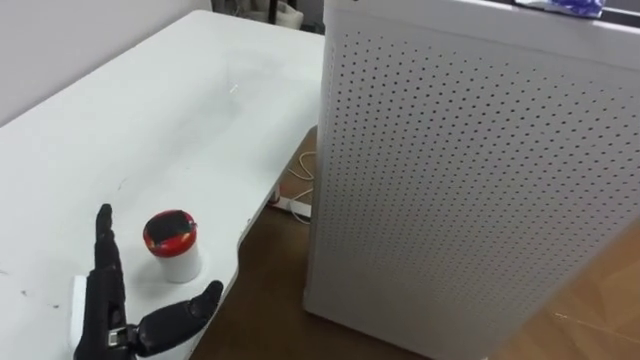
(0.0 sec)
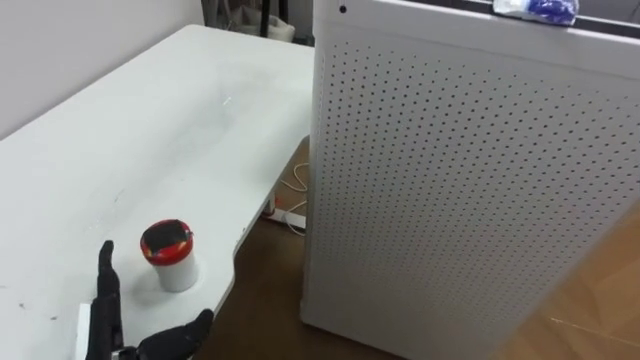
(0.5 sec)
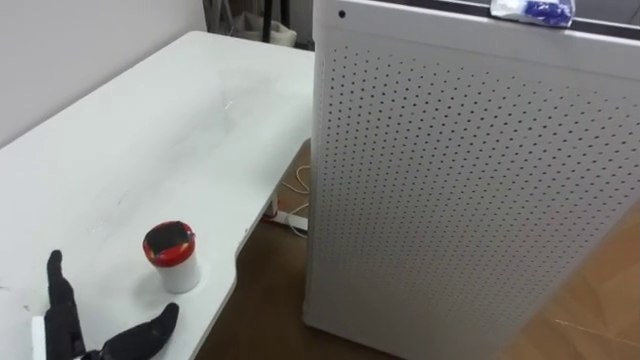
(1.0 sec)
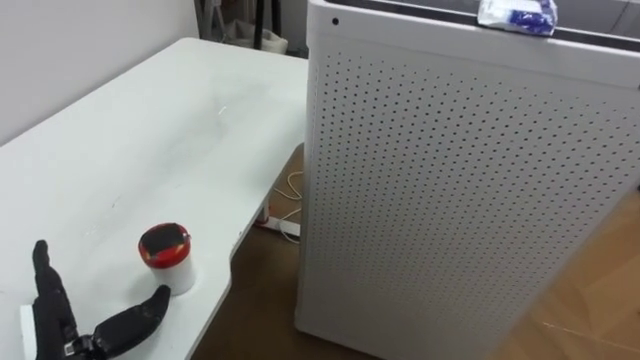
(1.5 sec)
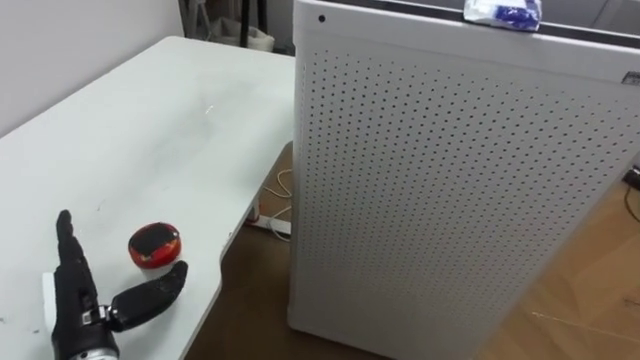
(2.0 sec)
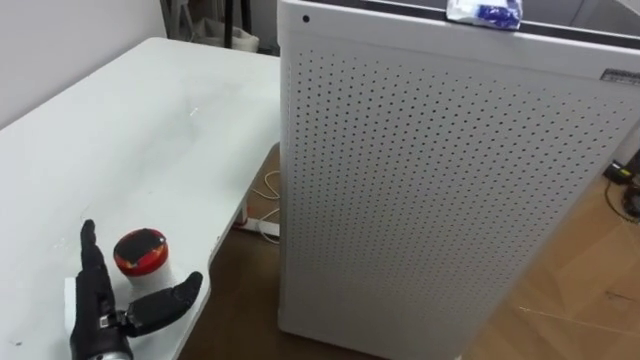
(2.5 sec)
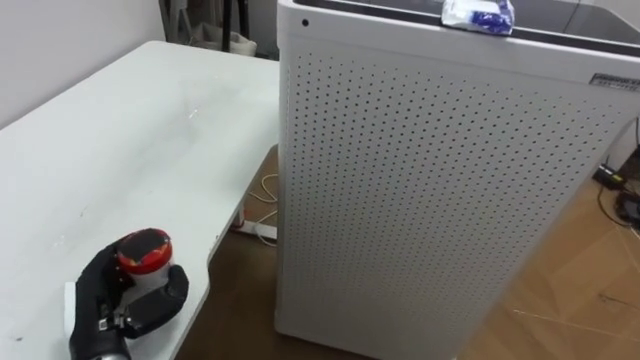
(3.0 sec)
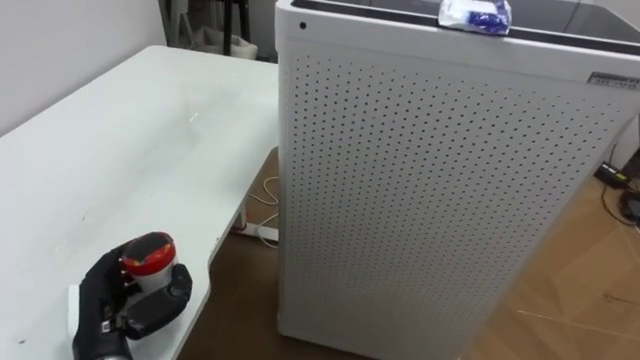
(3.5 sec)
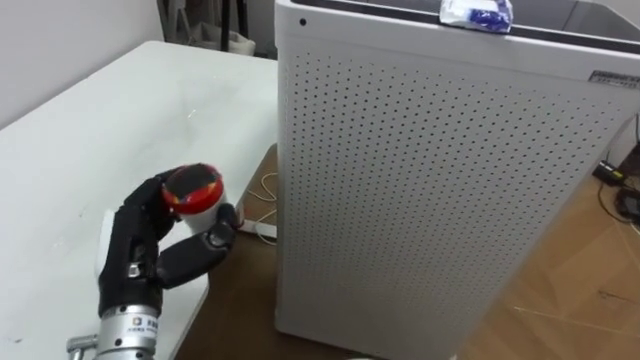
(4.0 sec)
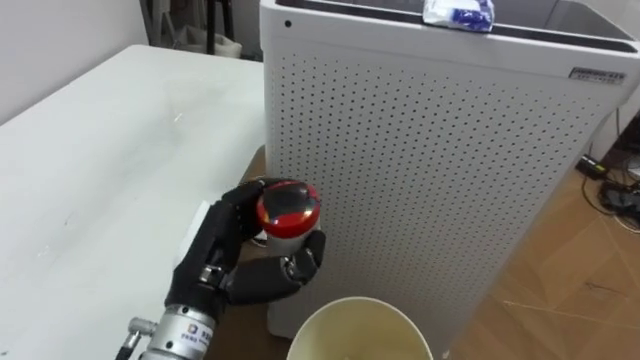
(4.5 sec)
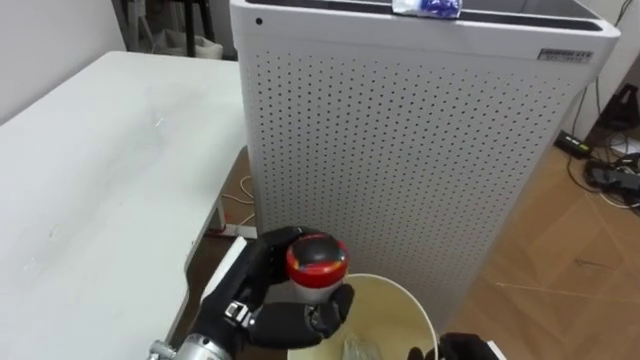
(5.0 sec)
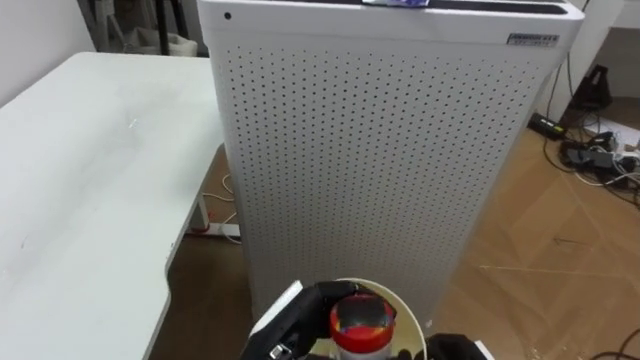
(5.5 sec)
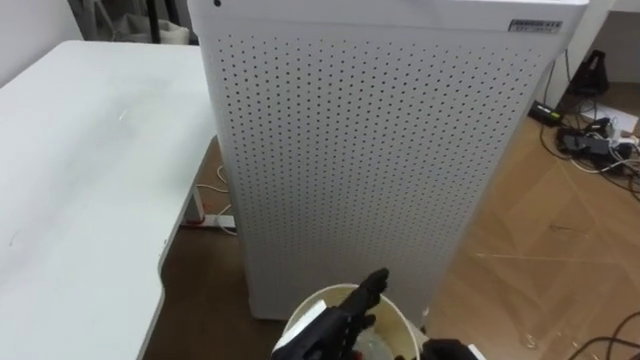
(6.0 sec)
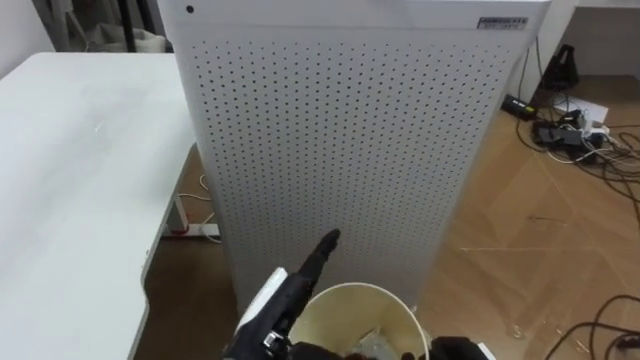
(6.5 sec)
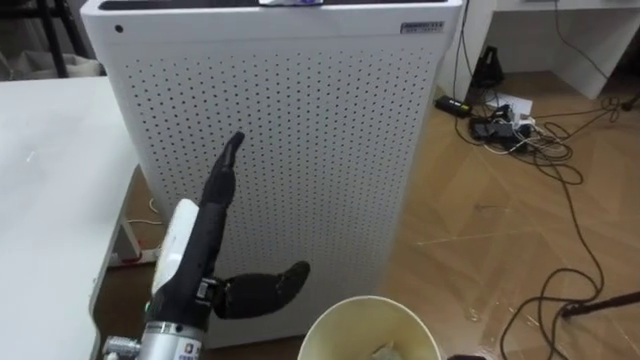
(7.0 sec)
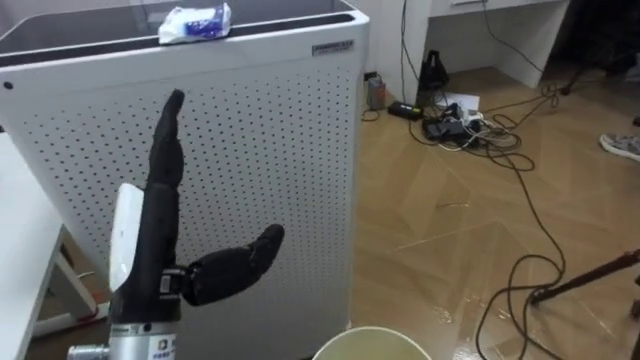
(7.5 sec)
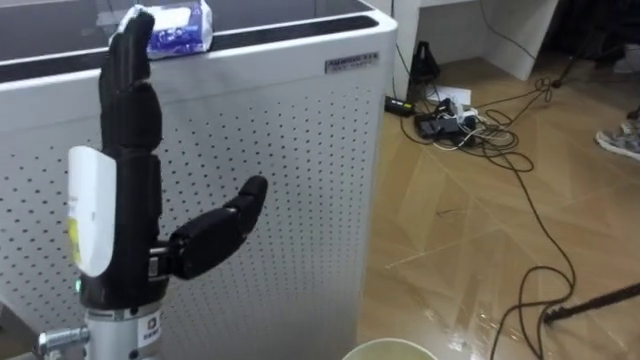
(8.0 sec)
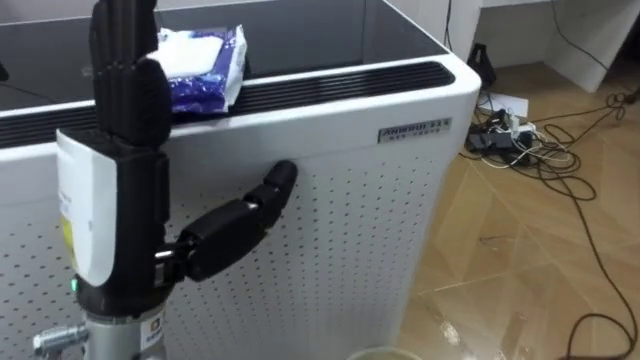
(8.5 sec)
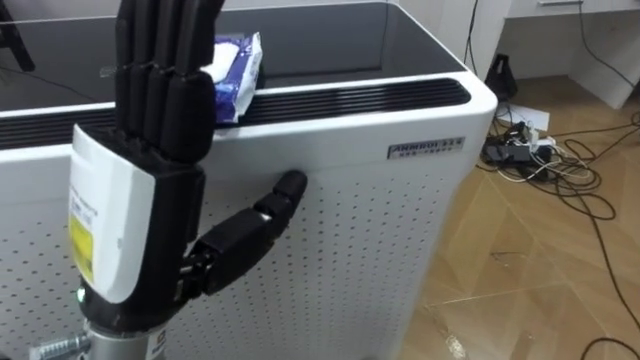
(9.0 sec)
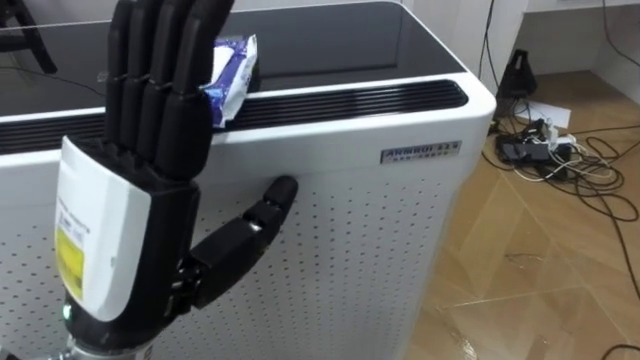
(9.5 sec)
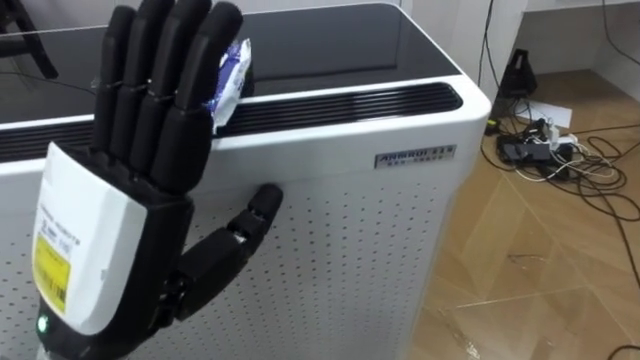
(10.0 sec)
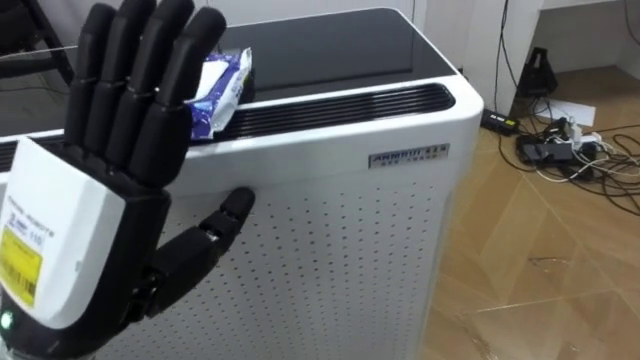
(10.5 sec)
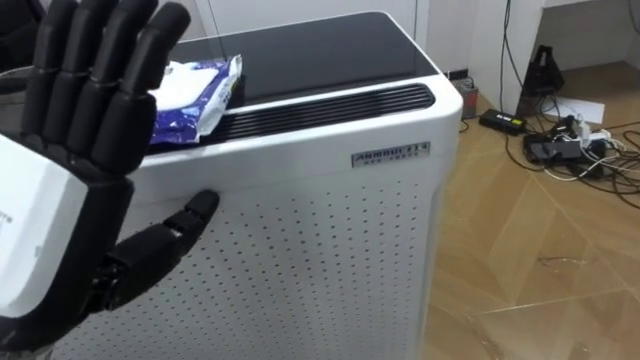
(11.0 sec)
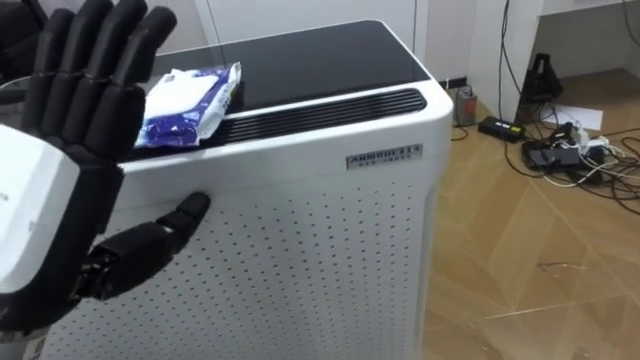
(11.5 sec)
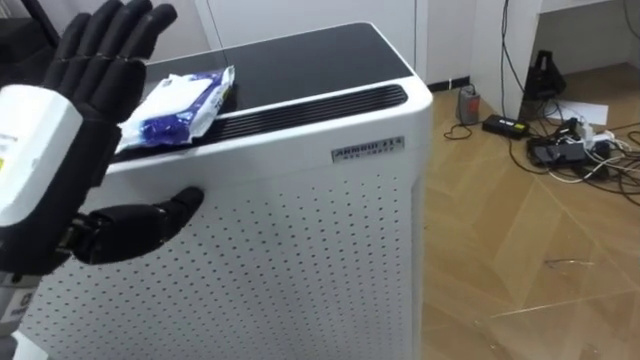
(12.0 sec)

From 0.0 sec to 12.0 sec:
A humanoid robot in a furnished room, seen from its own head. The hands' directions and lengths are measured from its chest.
Task of the whole recording: Pick up the light blue package, the candy box, and the dark blue package separately, and put them into the trash can held in your right hand.
From 0.0 sec to 2.0 sec: The left hand ends up roughly 5 cm from where it was.
From 2.0 sec to 4.0 sec: The left hand moves to the right, approximately 5 cm, and closes its fingers.
From 4.0 sec to 6.0 sec: The left hand travels to the right by approximately 20 cm, and opens.
From 6.0 sec to 8.0 sec: The robot's body swings some 30 degrees to its right. The left hand travels upward and to the left by roughly 25 cm.
From 8.0 sec to 10.0 sec: The left hand shifts by about 5 cm.
From 10.0 sec to 12.0 sec: The left hand moves to the left, some 5 cm.

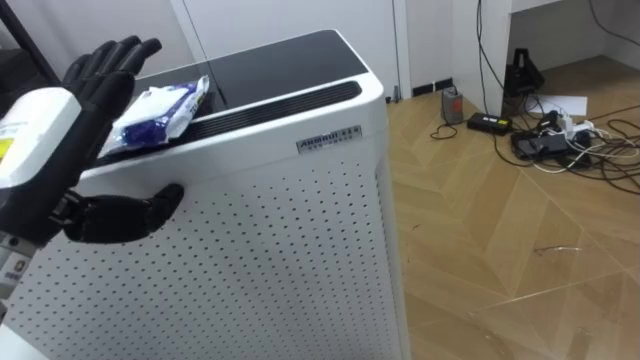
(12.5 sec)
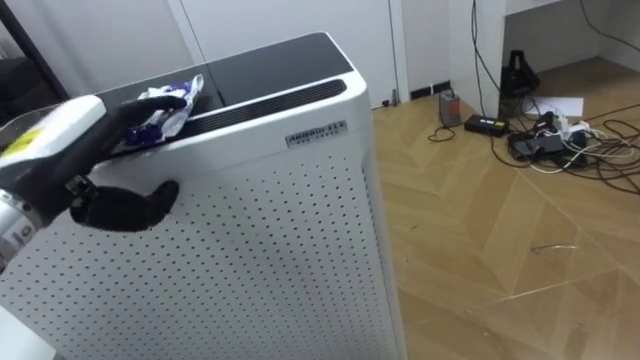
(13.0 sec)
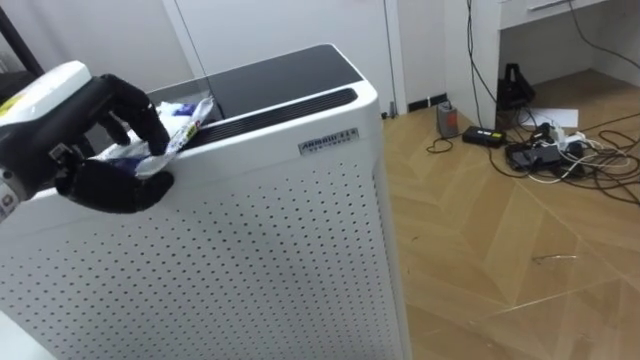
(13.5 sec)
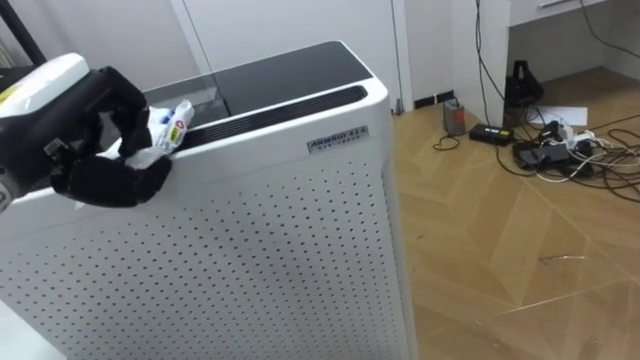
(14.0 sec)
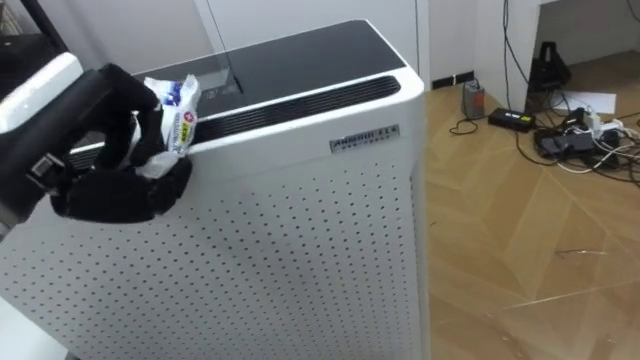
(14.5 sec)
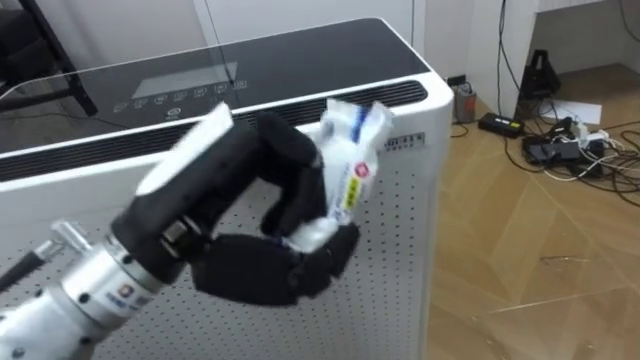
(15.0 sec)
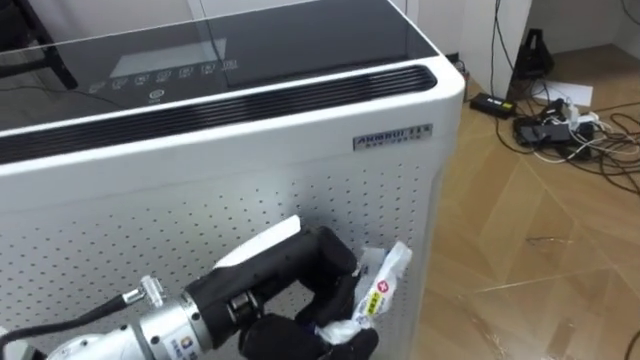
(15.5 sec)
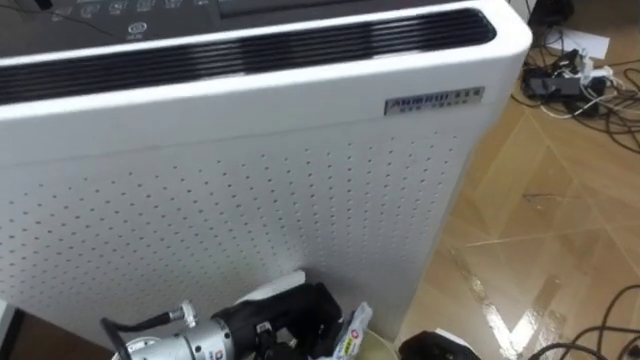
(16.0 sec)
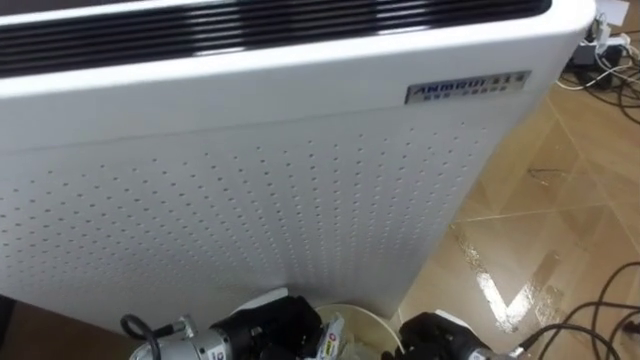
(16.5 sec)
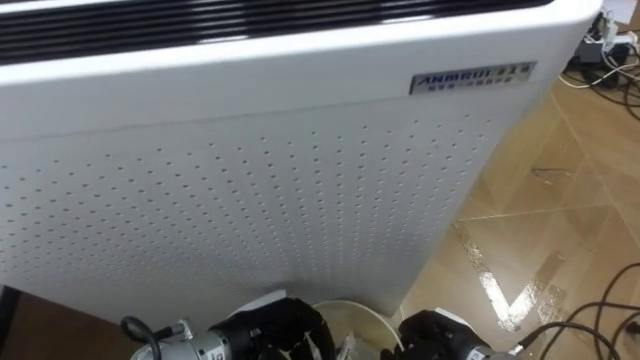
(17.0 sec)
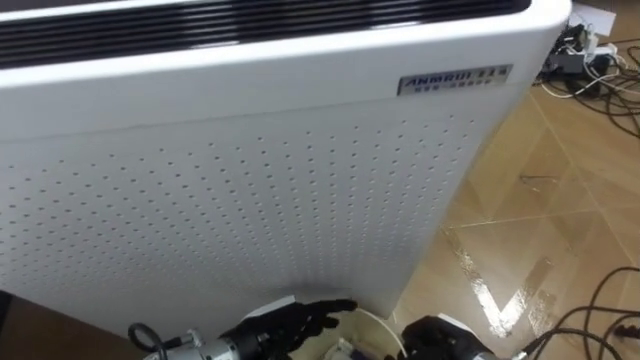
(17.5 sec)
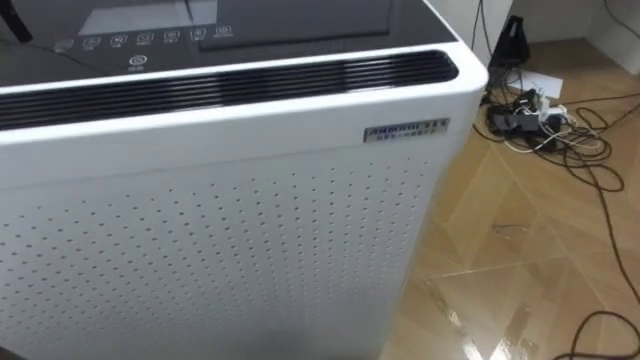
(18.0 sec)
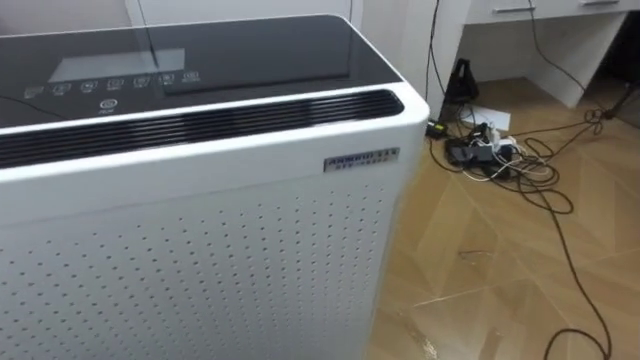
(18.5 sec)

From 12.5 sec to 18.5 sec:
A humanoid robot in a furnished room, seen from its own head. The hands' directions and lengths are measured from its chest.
Task of the whole recording: Pick up the light blue package, the candy box, and the dark blue package separately, and put them into the trash can held in your right hand.
From 12.5 sec to 14.5 sec: The left hand closes.
From 14.5 sec to 16.5 sec: The left hand travels downward and to the right by approximately 30 cm.

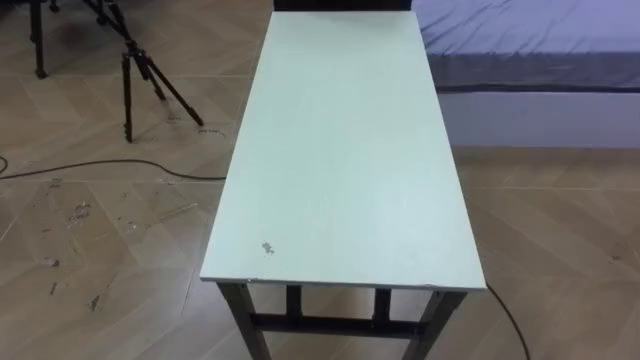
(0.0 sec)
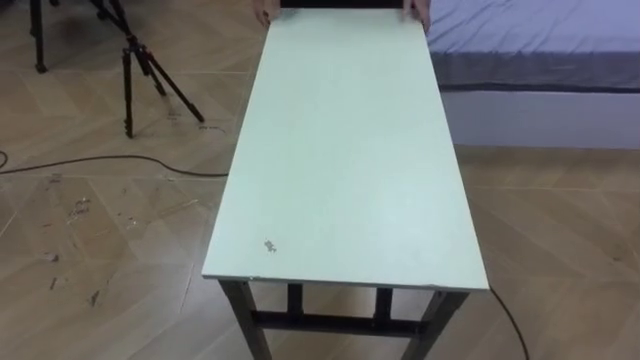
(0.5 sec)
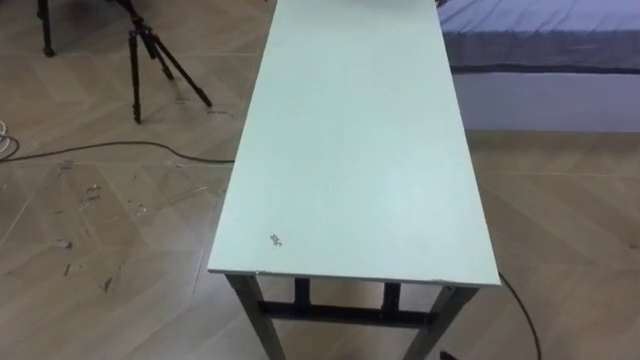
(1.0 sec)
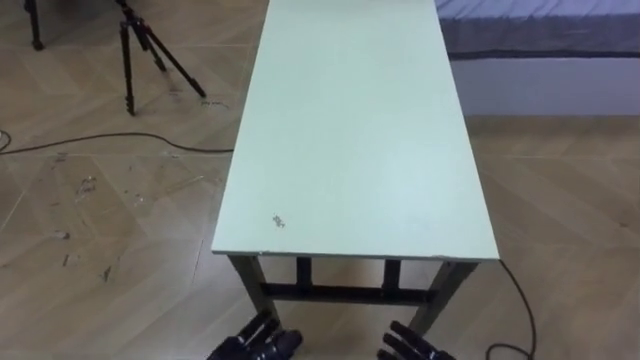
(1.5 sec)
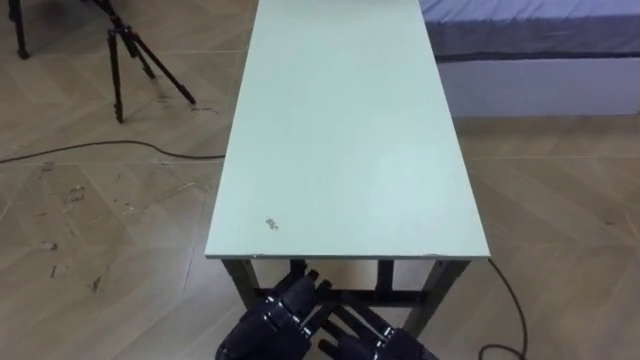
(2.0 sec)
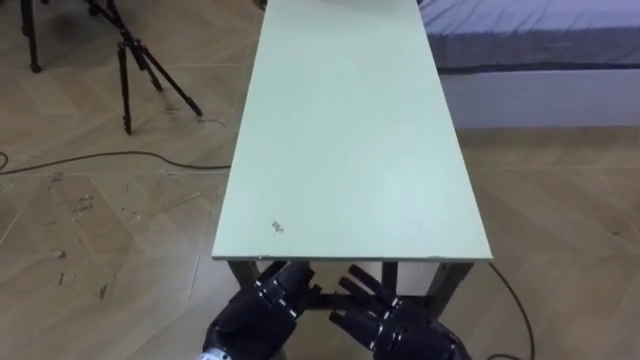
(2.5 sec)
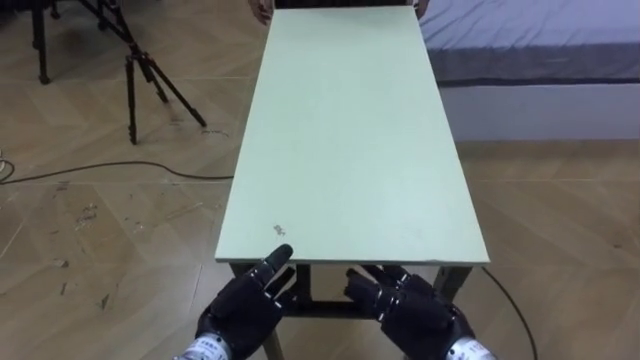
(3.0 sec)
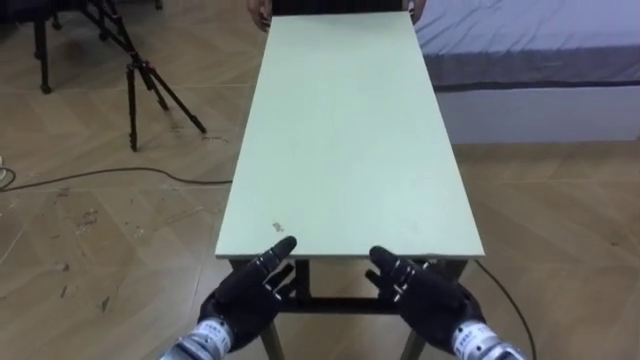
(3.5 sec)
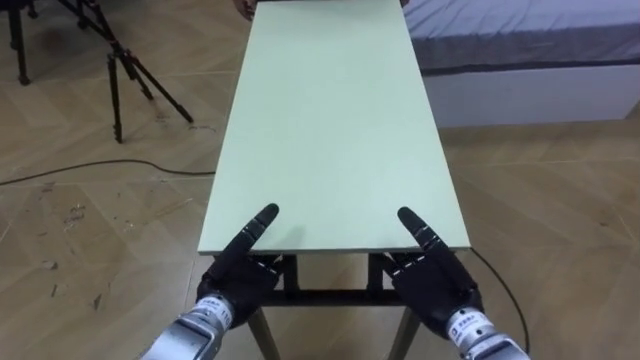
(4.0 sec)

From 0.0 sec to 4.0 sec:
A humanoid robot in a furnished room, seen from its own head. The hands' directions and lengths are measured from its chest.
Task of the whole recording: Move the table to the back left with someone.
From 2.0 sec to 4.0 sec: The left hand is displaced forward by some 10 cm.
